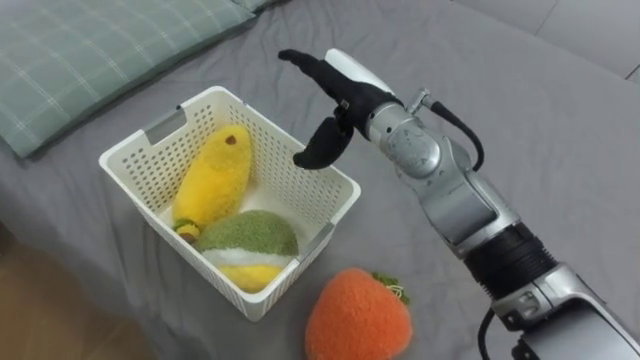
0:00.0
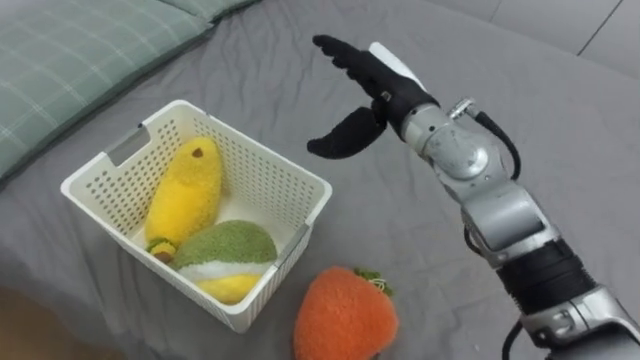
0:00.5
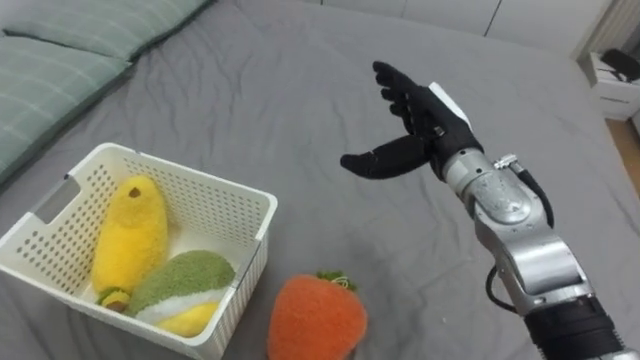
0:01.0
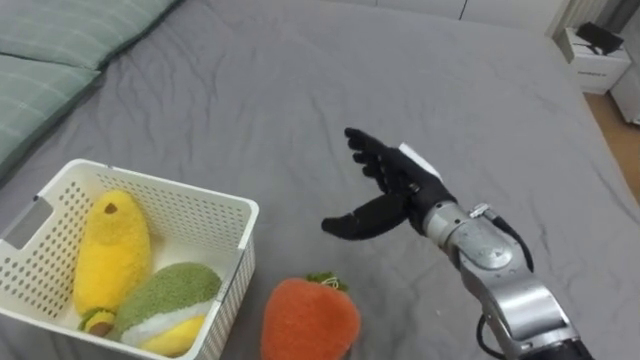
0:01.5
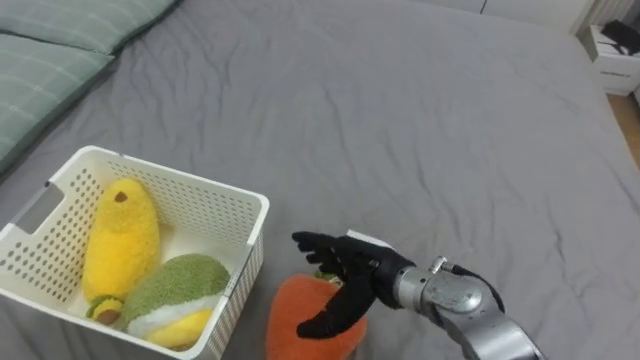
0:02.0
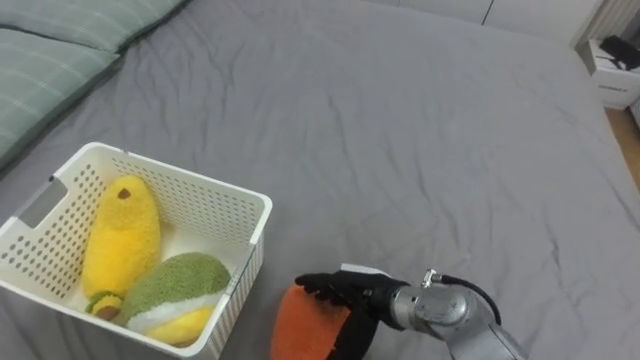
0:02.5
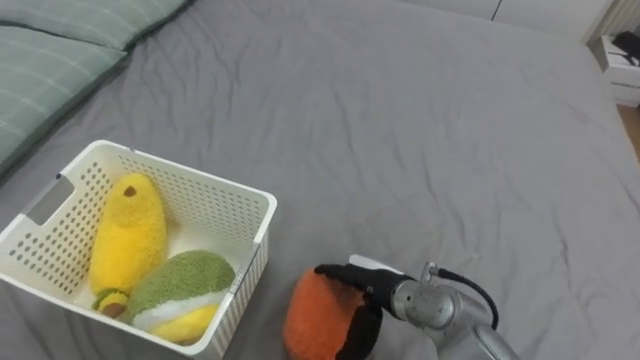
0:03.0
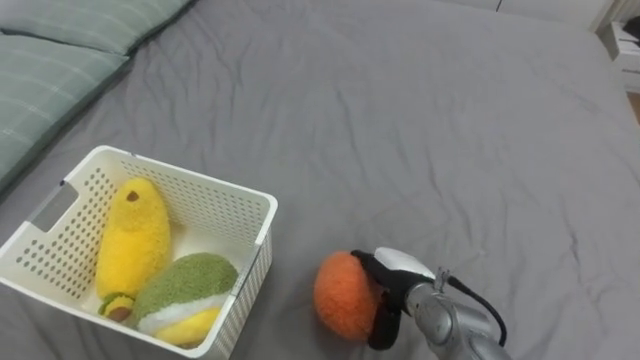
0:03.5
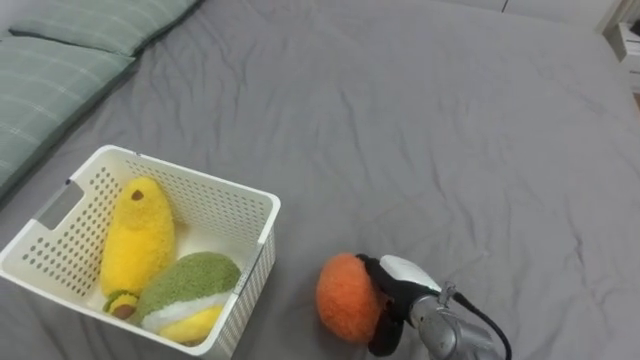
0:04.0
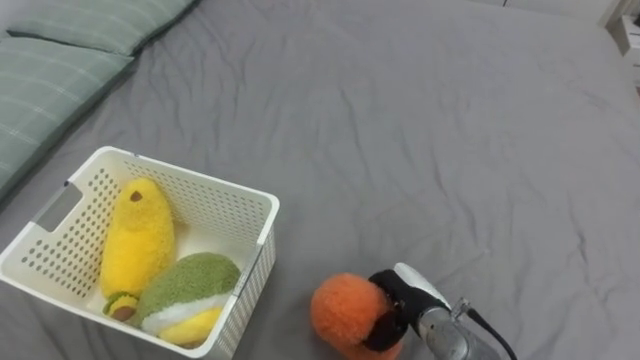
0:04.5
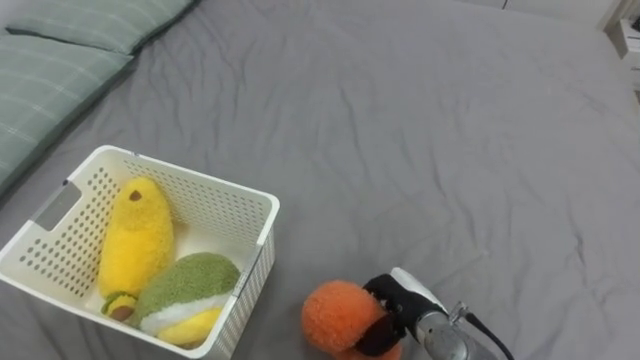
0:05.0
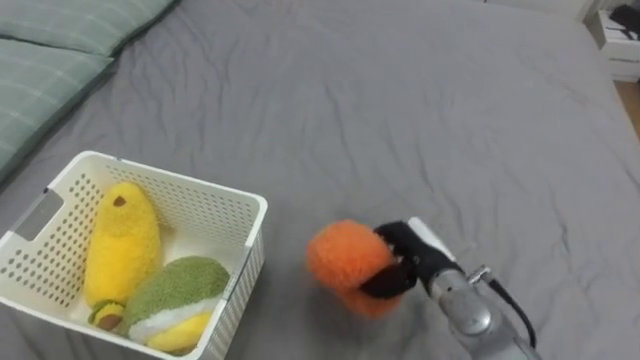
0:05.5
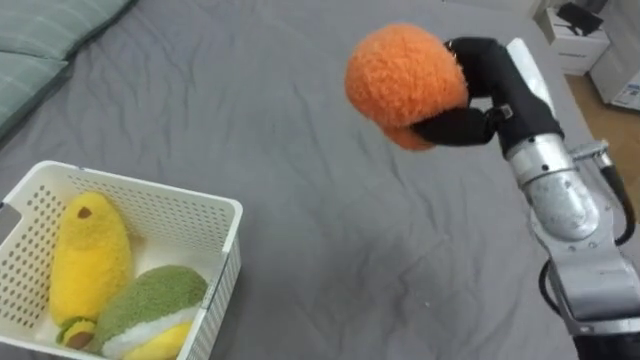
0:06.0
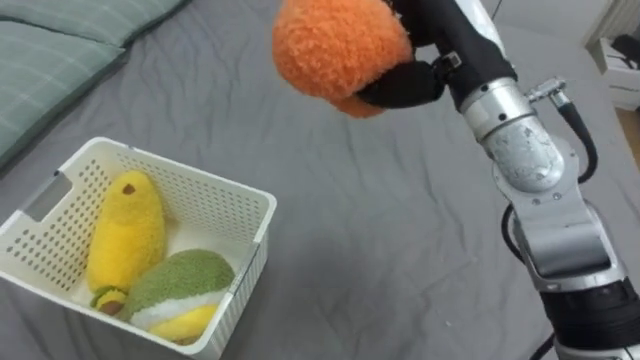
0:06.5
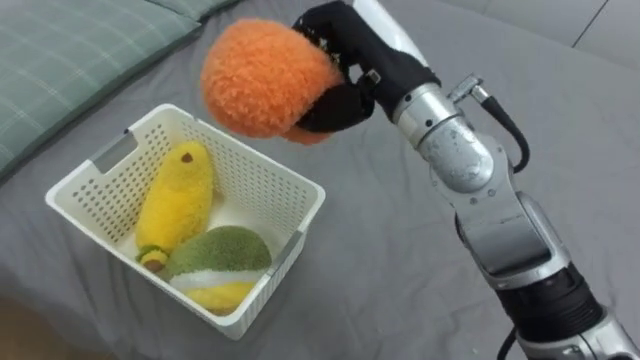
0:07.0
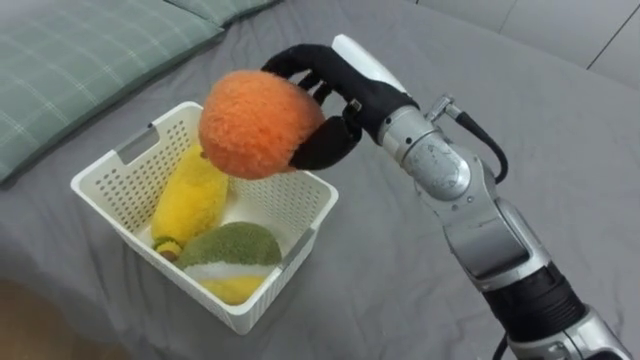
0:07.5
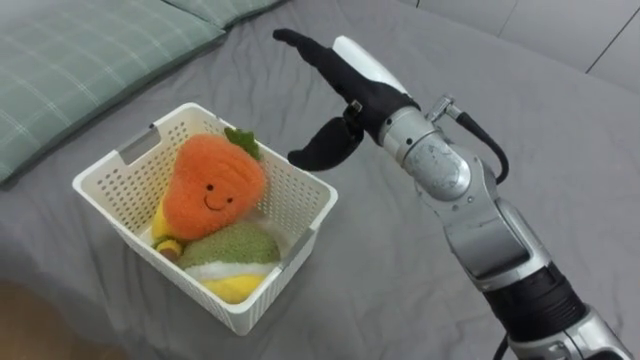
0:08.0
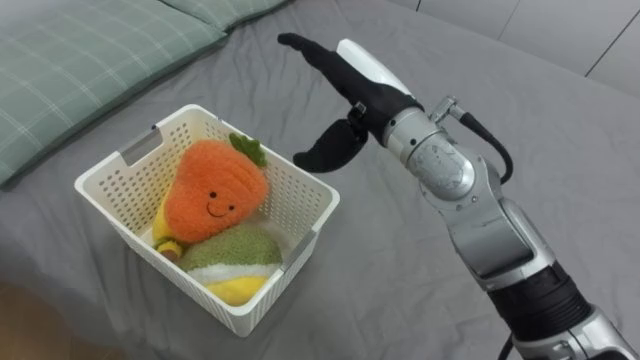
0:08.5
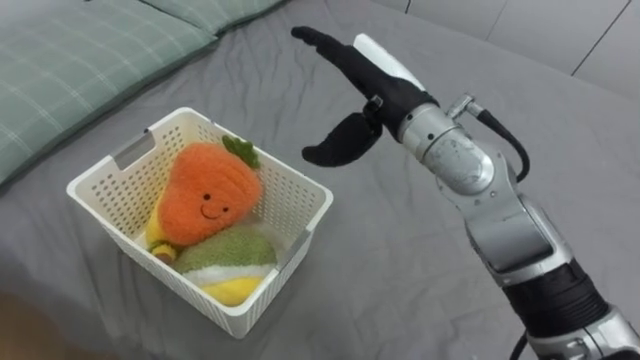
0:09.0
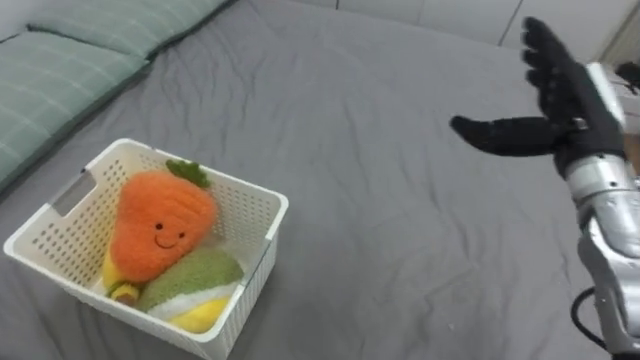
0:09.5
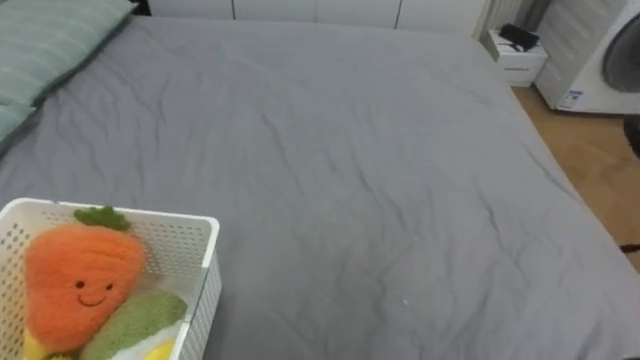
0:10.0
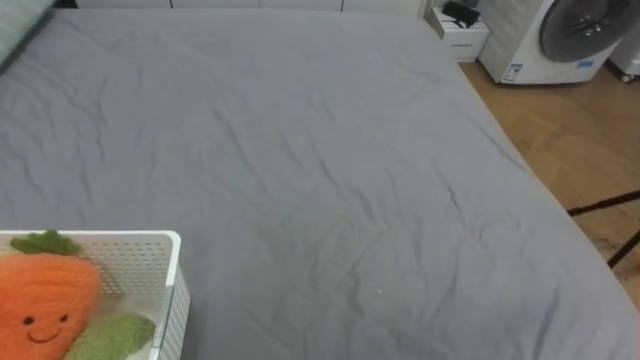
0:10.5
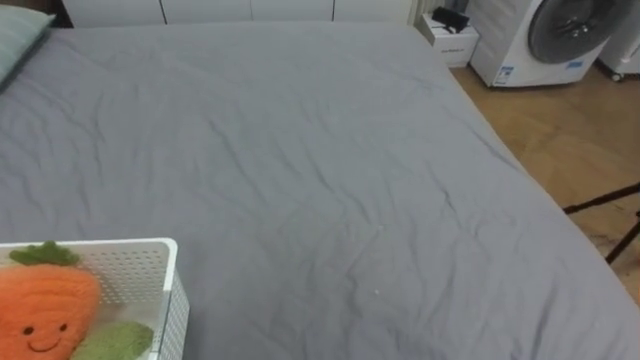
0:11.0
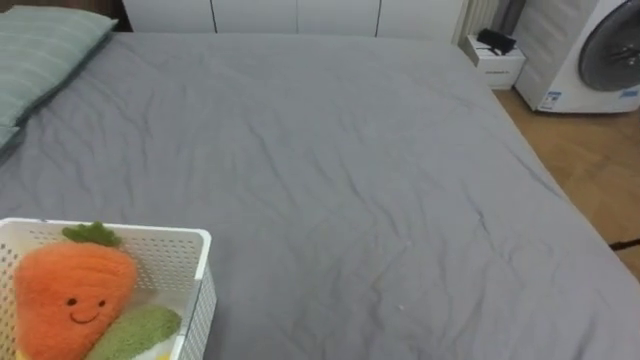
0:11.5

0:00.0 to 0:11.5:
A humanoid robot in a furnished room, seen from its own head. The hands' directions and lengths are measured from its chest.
Task of the whole recording: Put the toys on the bed into the basket on the left.
0:00.0 to 0:02.0: The right hand goes approximately 20 cm downward and backward.
0:02.0 to 0:04.0: The right hand shifts approximately 10 cm downward and to the right.
0:04.0 to 0:06.0: The right hand travels upward by some 25 cm, and closes its fingers.
0:06.0 to 0:07.5: The right hand moves to the left, approximately 15 cm, and opens up.
0:07.5 to 0:09.5: The right hand goes some 20 cm to the right.

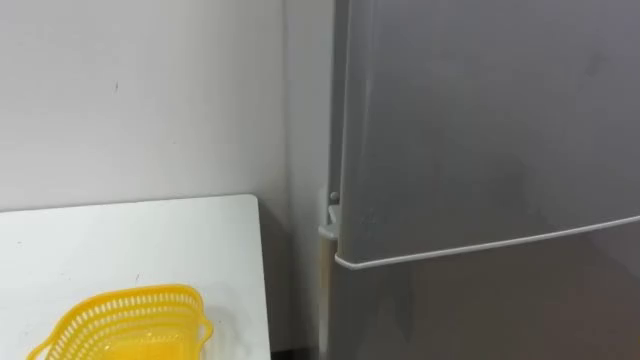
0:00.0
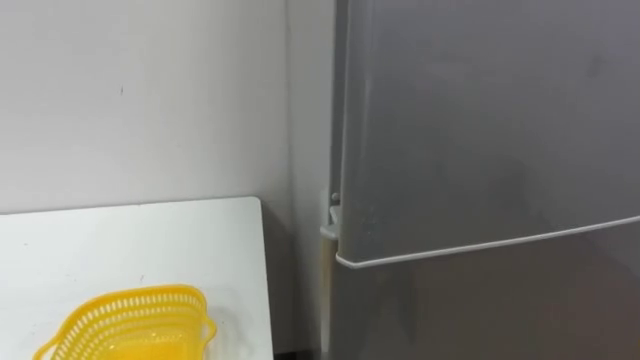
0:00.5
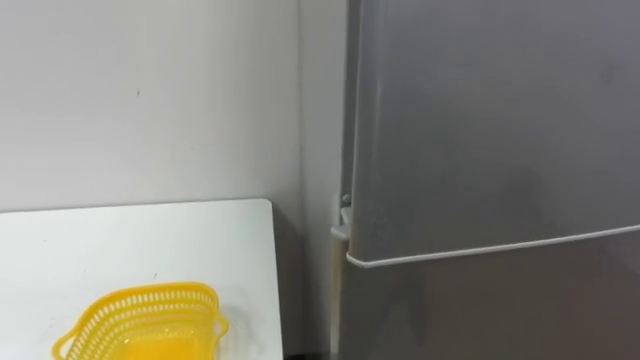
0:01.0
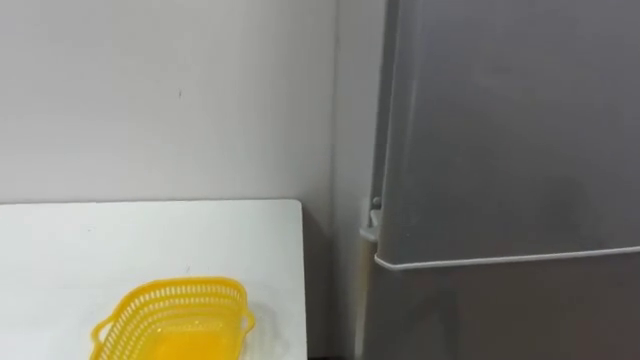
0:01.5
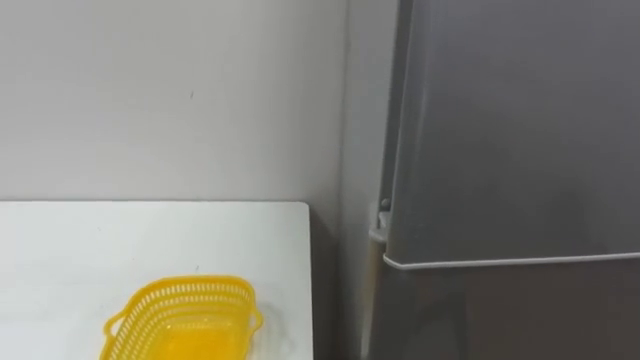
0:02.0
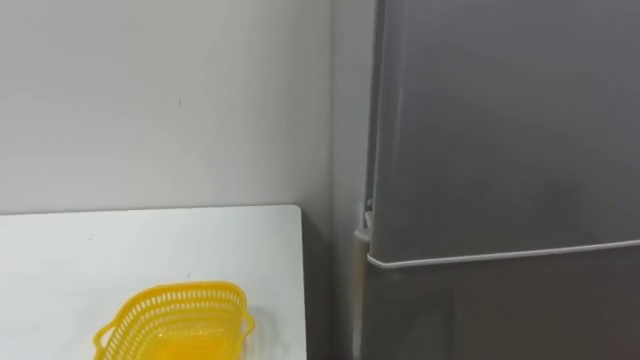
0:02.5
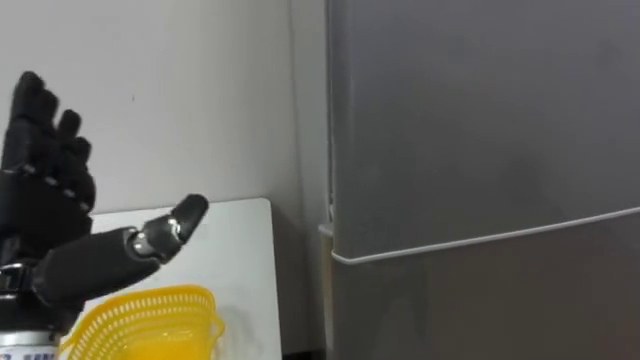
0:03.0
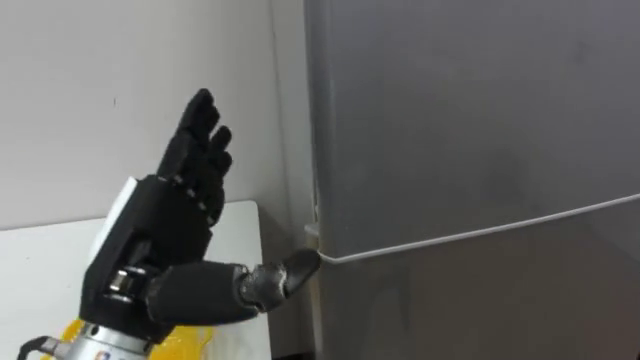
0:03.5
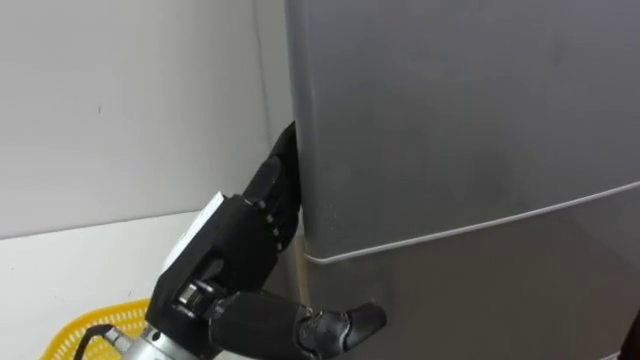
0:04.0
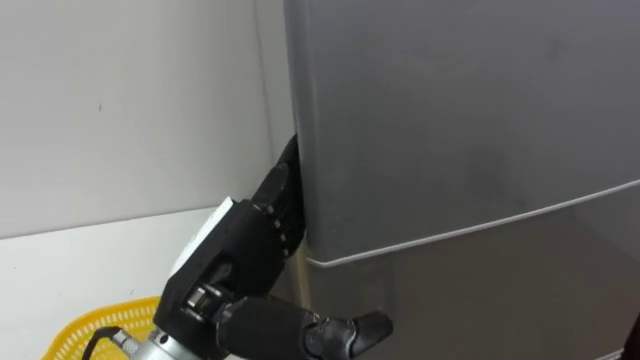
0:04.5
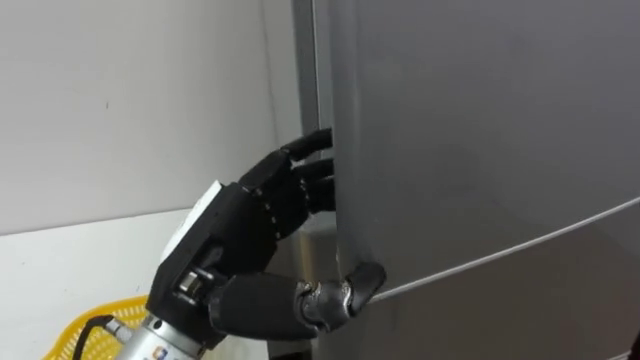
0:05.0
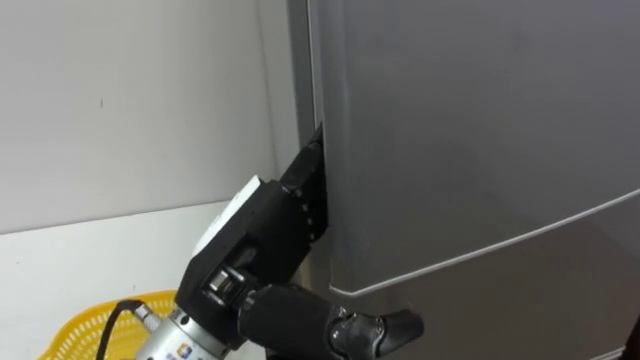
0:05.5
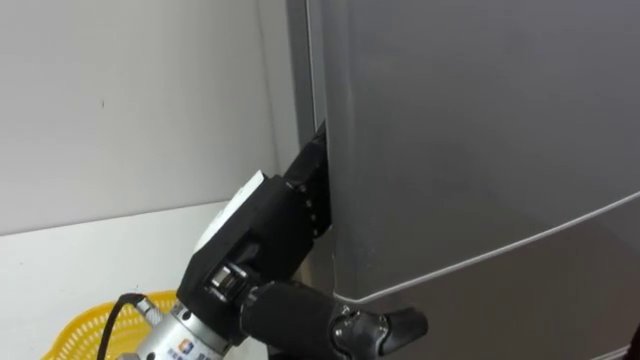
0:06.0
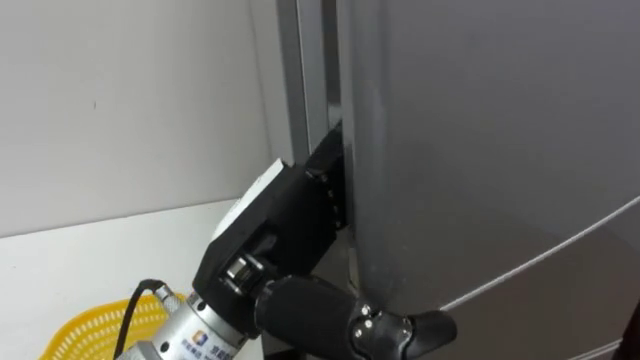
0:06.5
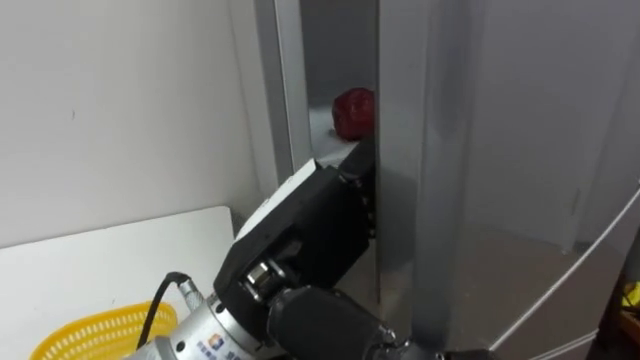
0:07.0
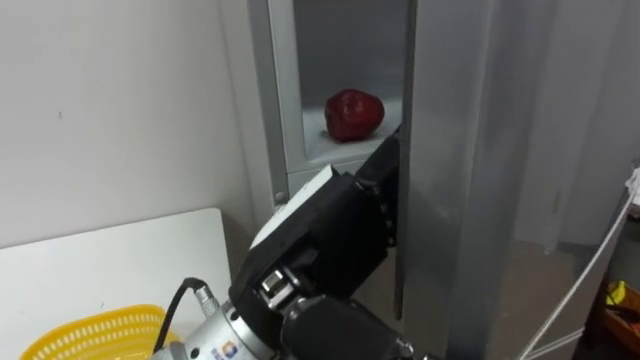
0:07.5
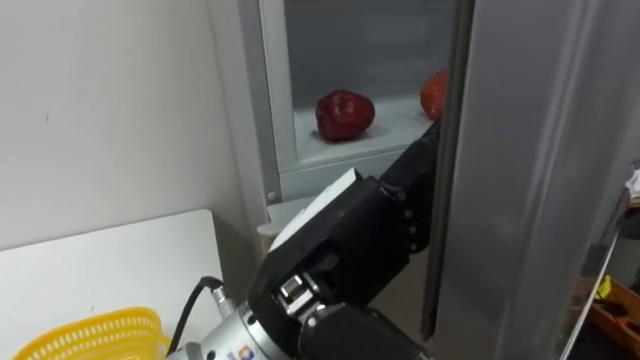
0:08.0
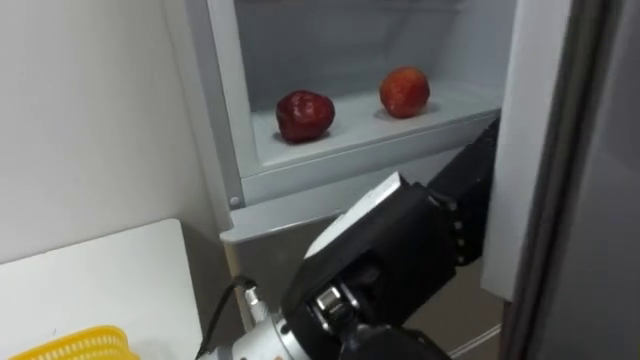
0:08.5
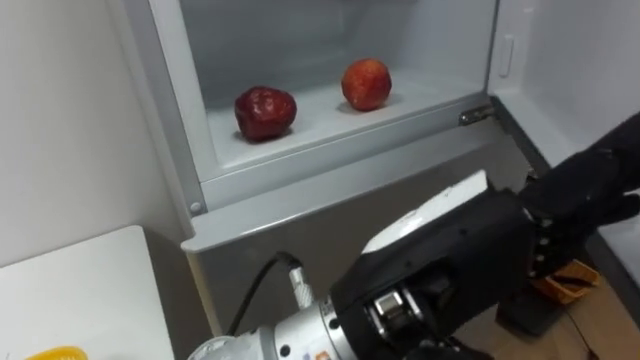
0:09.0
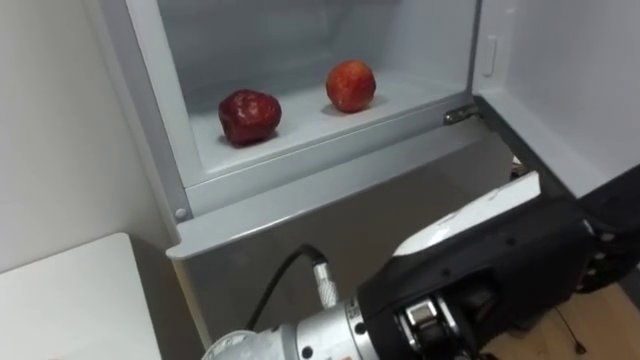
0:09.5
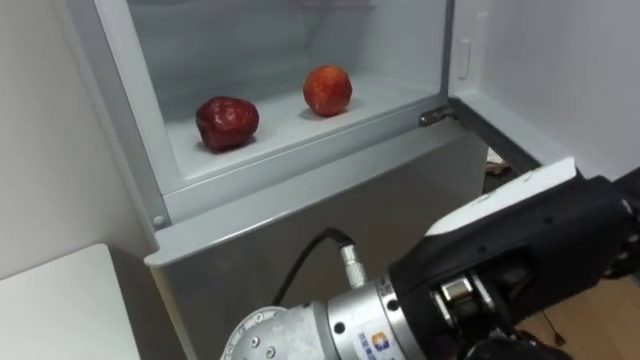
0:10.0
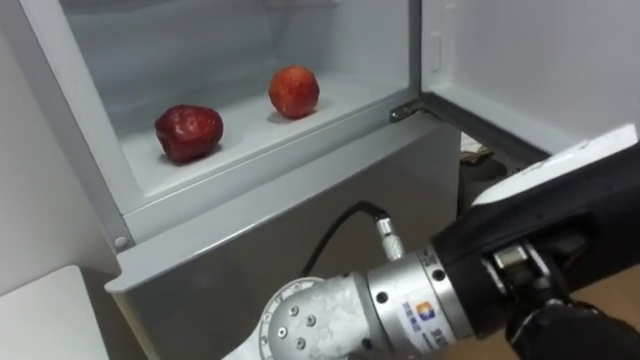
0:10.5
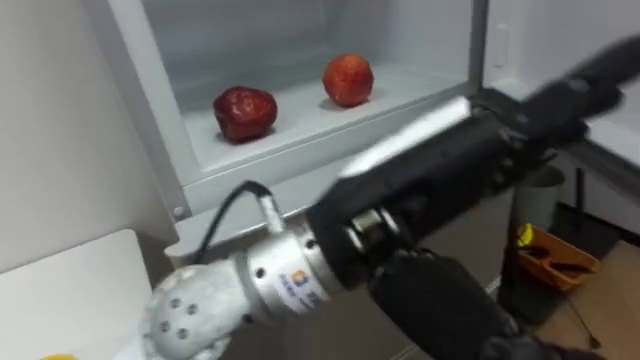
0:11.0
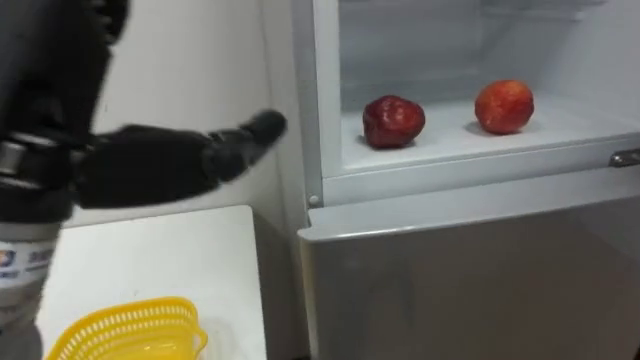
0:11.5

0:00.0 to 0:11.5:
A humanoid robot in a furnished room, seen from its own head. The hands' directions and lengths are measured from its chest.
Task of the whole recording: Open the refrigerator door, take out the apple and the pomegranate, place them in the fruit basket on the left, and close the refrigerator door.
0:06.0 to 0:07.5: The left hand changes place by approximately 5 cm.
0:07.5 to 0:09.5: The left hand shifts approximately 10 cm to the right and backward.
0:09.5 to 0:11.5: The left hand heads to the left, covering about 20 cm.
